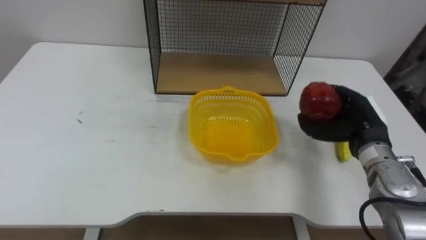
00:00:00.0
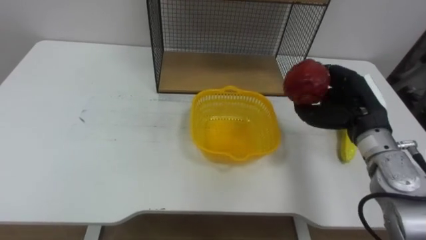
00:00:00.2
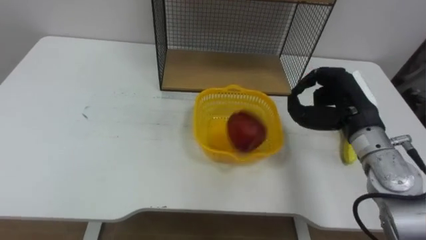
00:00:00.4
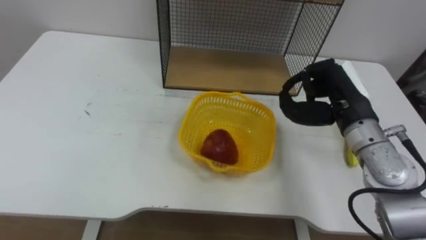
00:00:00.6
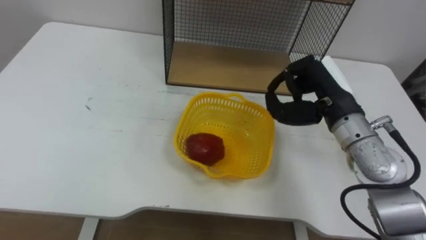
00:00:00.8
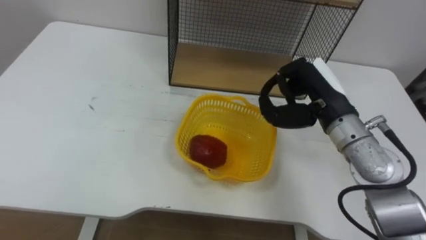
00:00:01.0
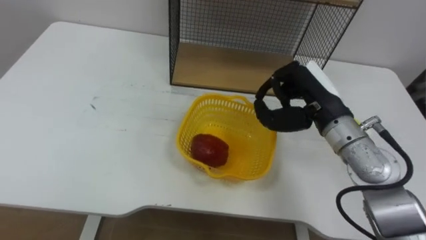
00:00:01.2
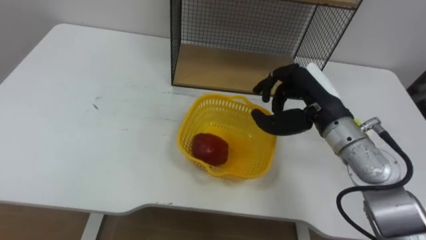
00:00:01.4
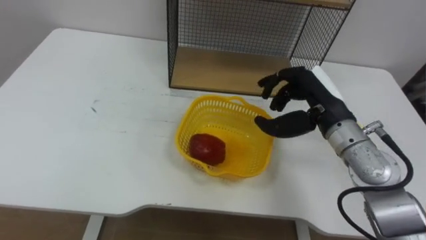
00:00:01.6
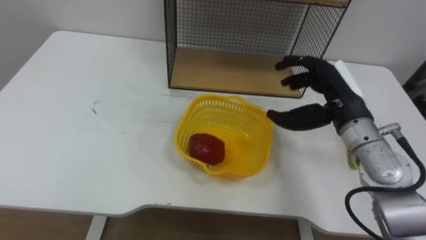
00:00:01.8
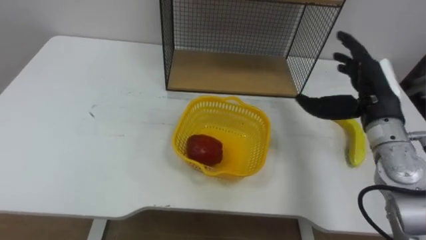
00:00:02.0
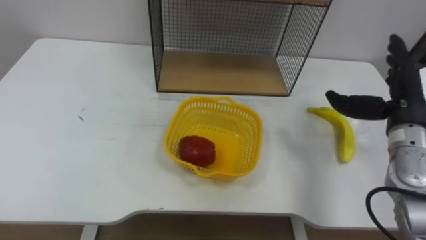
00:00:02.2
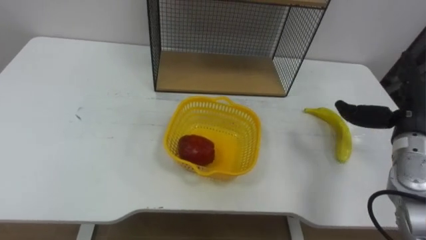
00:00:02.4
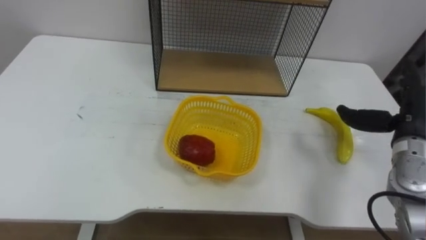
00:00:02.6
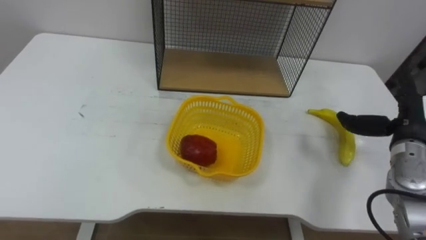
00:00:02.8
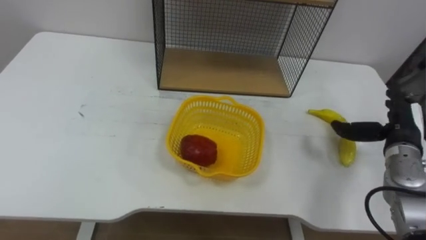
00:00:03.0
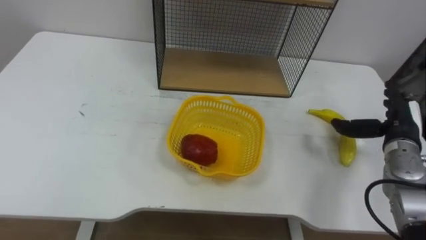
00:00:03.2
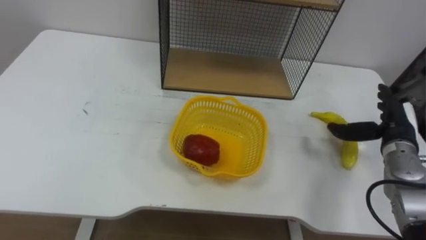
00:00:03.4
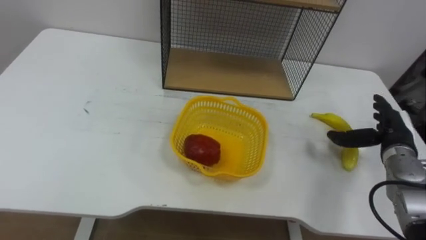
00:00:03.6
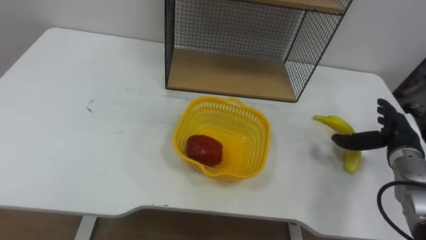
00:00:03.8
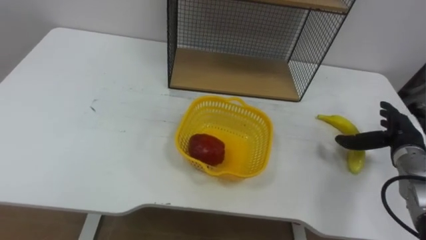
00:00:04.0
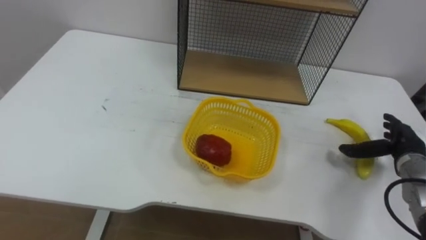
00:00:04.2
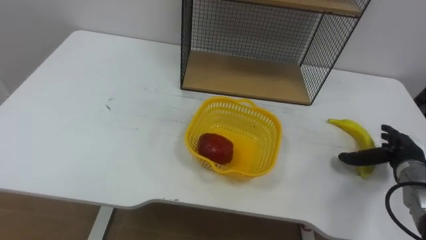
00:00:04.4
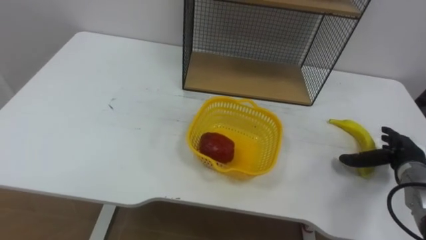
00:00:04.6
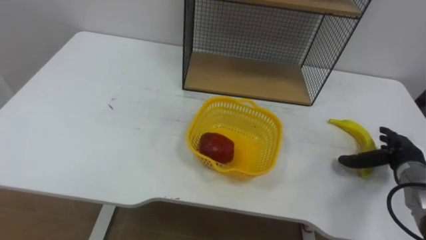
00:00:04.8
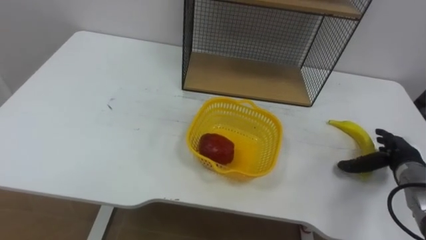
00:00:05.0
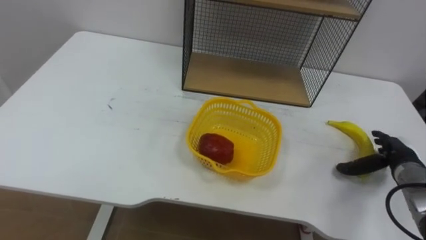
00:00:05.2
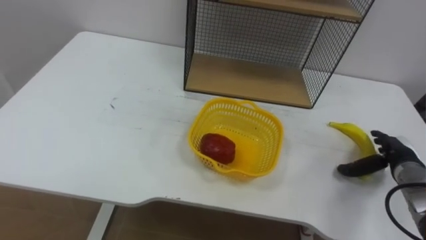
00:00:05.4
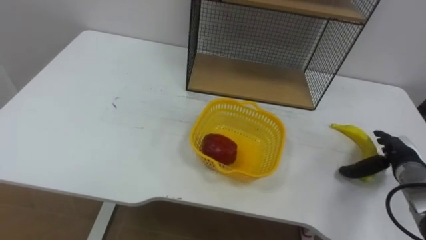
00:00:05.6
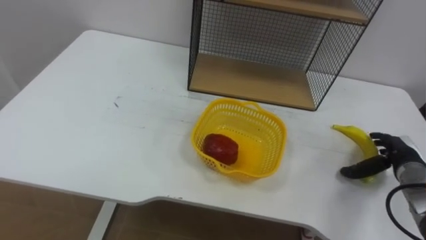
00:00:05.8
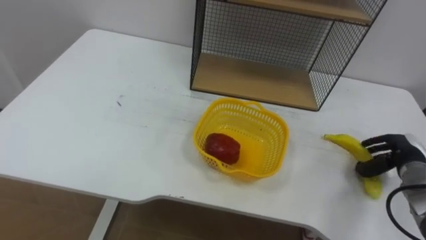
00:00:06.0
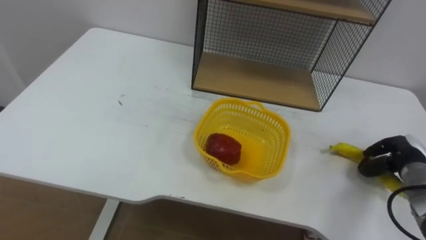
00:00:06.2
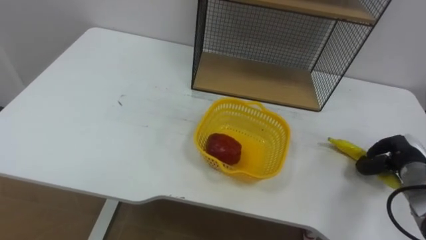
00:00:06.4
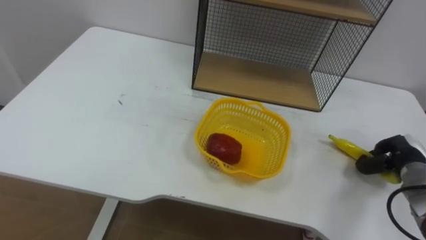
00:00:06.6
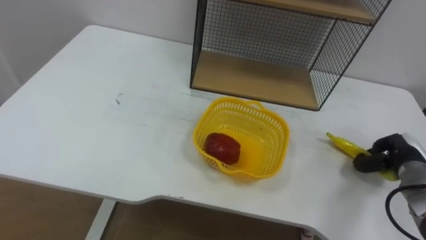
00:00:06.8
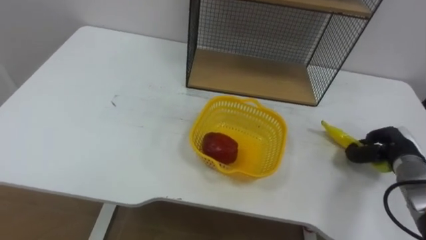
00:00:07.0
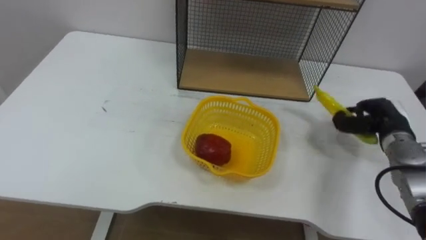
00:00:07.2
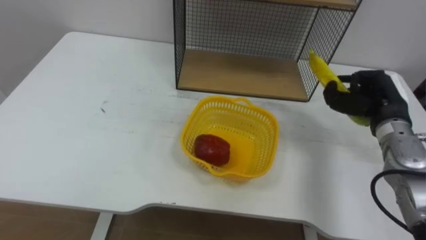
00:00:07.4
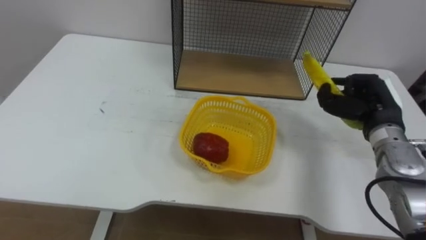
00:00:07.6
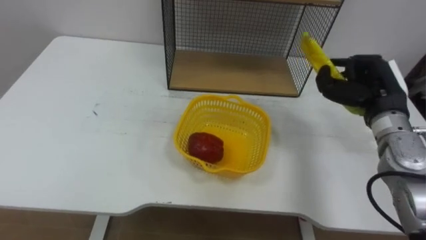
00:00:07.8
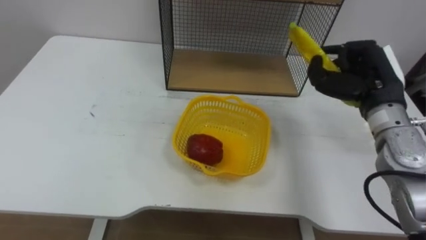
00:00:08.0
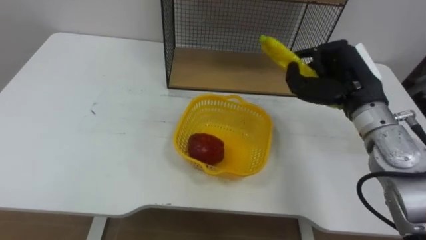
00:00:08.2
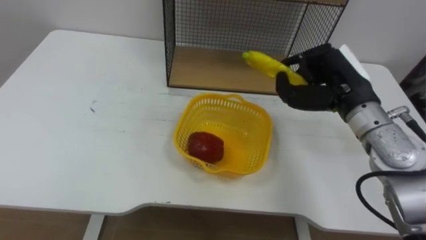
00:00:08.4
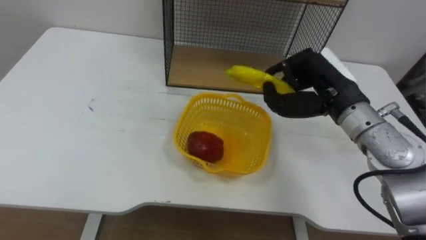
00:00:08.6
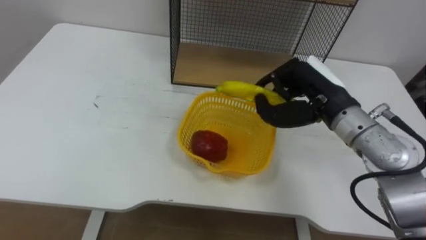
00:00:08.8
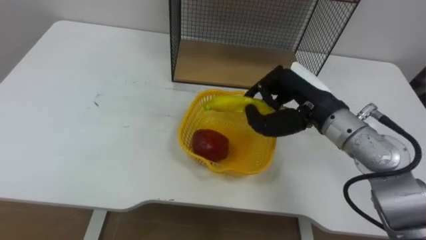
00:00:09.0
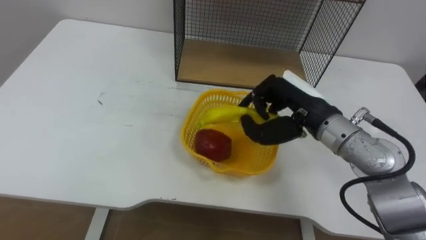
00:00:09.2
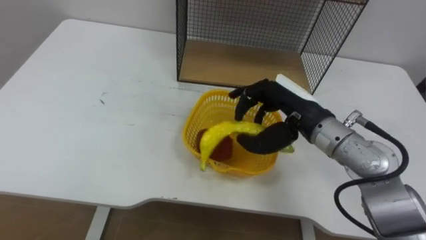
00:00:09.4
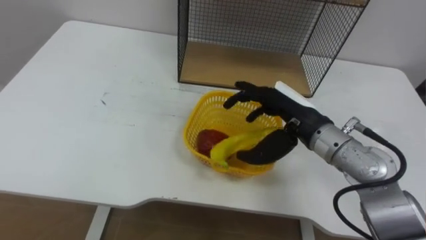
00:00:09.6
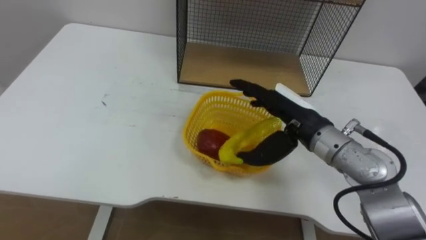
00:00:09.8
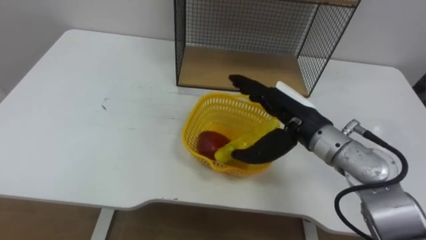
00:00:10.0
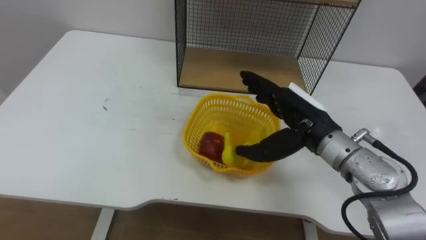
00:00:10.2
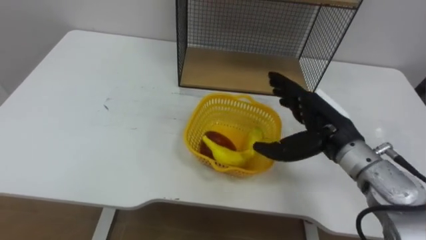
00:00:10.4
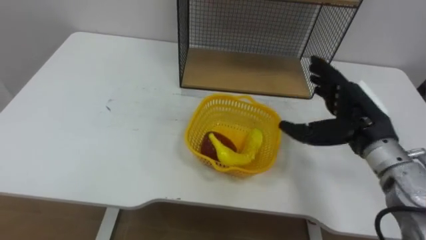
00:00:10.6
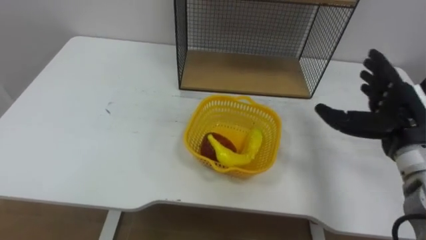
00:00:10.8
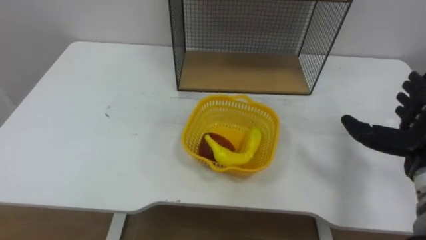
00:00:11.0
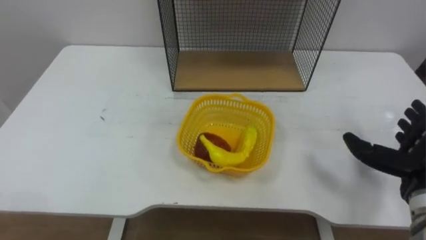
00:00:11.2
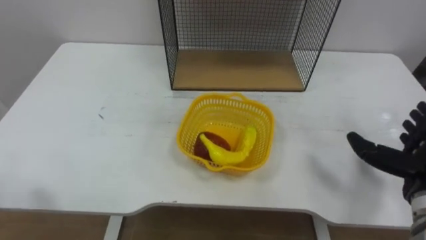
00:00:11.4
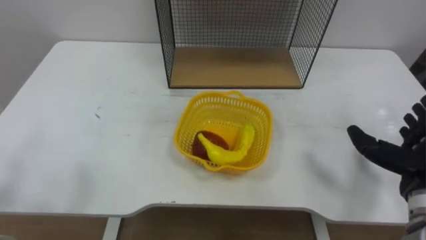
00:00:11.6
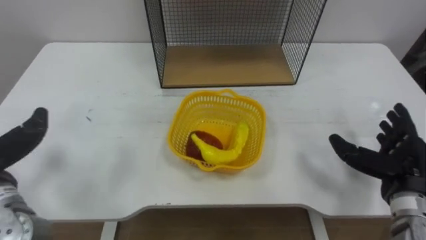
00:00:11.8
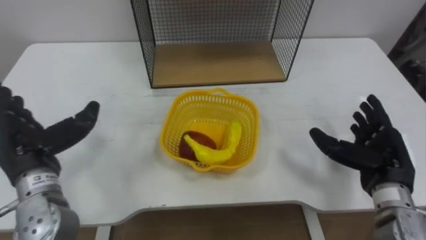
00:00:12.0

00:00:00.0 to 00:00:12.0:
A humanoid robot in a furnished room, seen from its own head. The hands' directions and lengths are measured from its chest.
Task of the whole recording: Put the fruit on the table into the basket, then place the basket on the shelf.
00:00:00.0 to 00:00:01.6: The right hand heads to the left and upward, covering approximately 10 cm.
00:00:01.6 to 00:00:03.0: The right hand is displaced to the right and downward by some 20 cm, and opens its fingers.
00:00:03.0 to 00:00:04.4: The right hand moves downward, approximately 5 cm.
00:00:04.4 to 00:00:06.0: The right hand closes up.
00:00:06.0 to 00:00:07.6: The right hand shifts about 15 cm upward and to the left, and closes.
00:00:07.6 to 00:00:09.0: The right hand travels to the left and upward by approximately 15 cm.
00:00:09.0 to 00:00:10.4: The right hand ends up approximately 5 cm from where it was, and opens up.

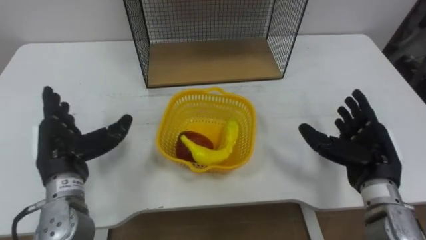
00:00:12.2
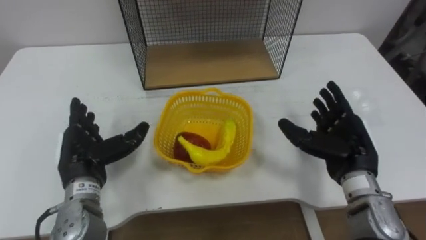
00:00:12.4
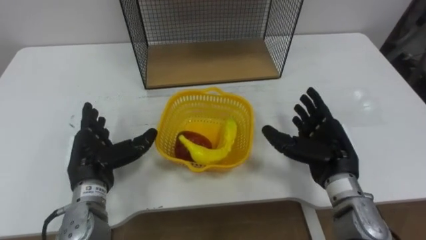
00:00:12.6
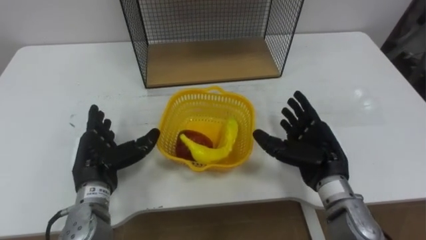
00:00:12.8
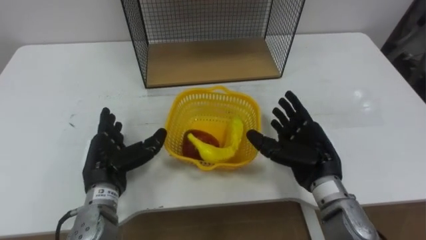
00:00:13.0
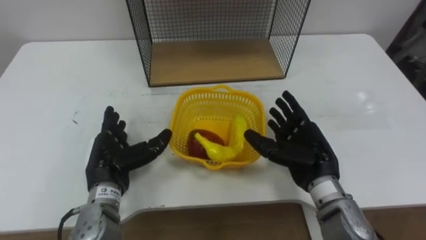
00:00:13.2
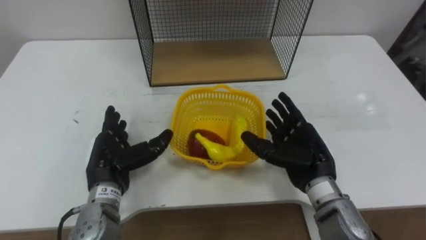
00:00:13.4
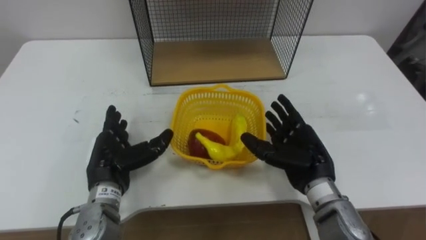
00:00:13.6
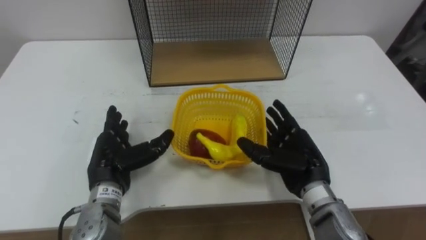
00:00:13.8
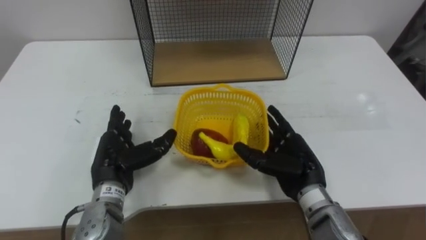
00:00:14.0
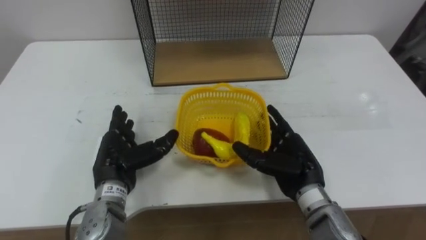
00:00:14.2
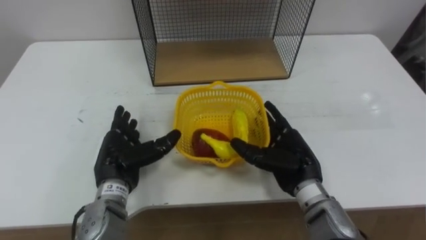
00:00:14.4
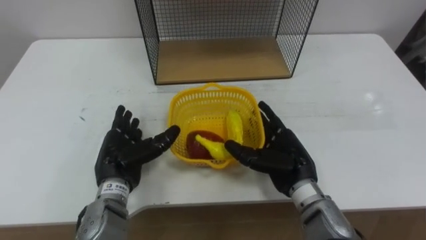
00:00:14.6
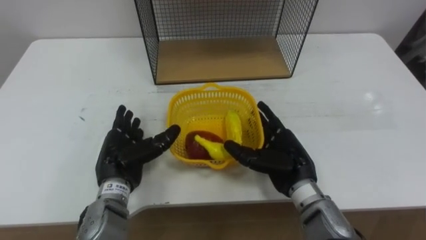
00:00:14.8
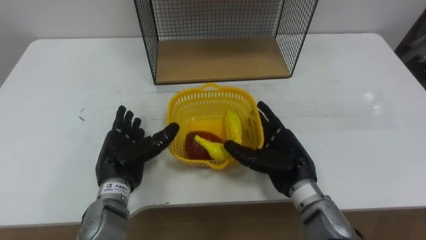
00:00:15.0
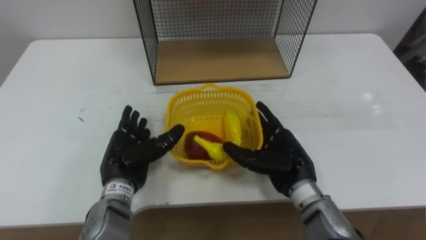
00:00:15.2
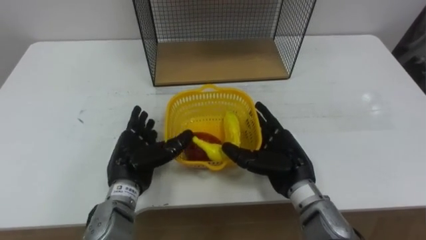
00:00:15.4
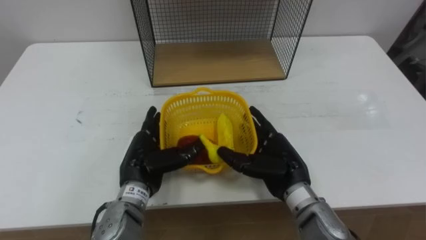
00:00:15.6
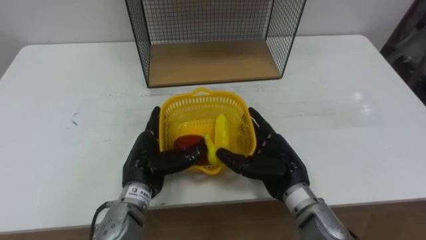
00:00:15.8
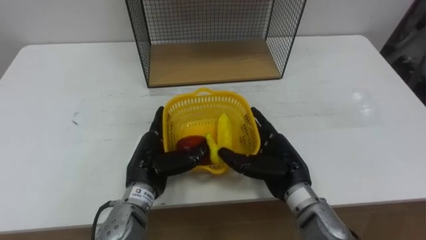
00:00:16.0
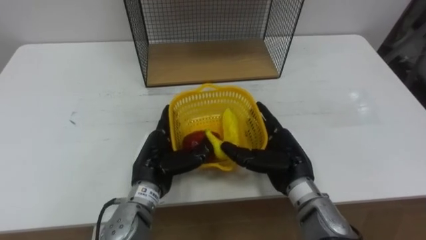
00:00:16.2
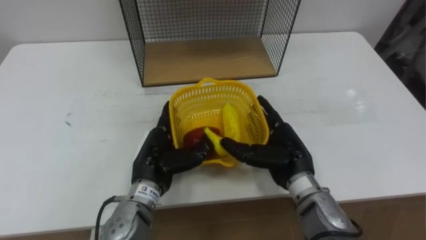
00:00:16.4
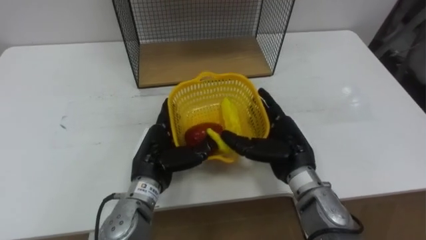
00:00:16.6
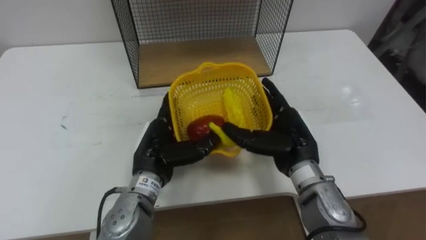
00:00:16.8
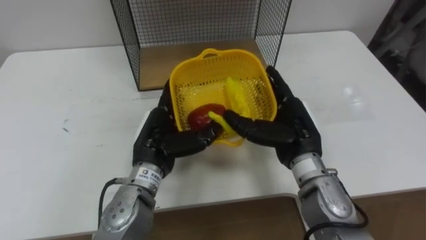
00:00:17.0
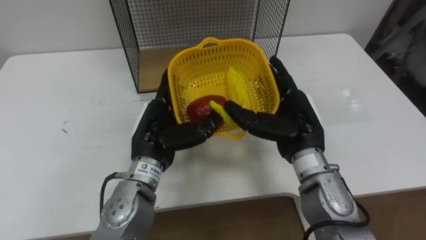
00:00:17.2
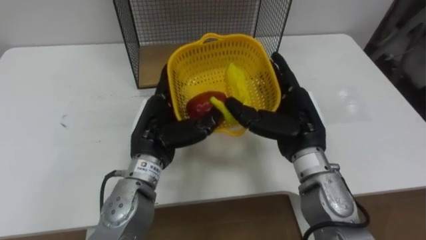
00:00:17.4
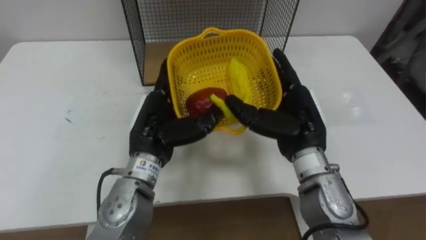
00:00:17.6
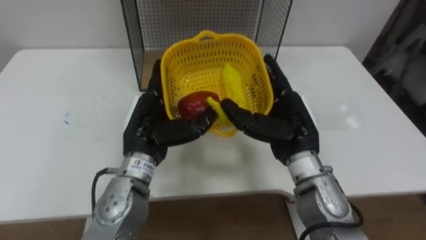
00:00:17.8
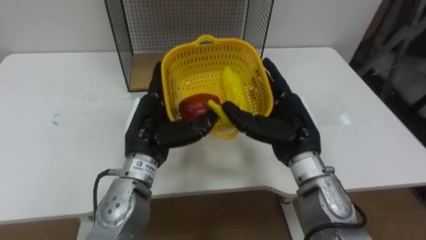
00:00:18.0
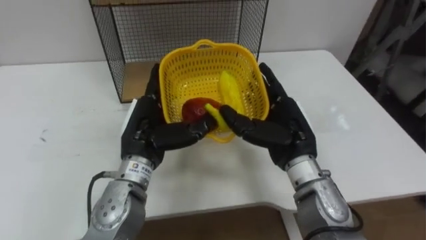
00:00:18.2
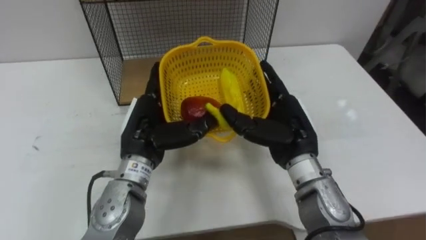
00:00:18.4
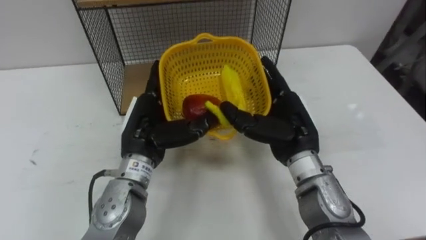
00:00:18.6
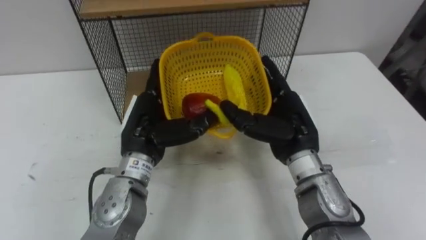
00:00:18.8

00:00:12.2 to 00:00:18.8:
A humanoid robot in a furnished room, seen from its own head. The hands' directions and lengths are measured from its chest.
Task of the whole recording: Put the fruit on the table into the basket, then place the basket on the shelf.
00:00:12.2 to 00:00:13.8: The left hand moves to the right and downward, approximately 10 cm. The right hand moves to the left, about 10 cm.
00:00:13.8 to 00:00:15.4: The hands make only small movements.
00:00:15.4 to 00:00:17.2: The left hand shifts approximately 10 cm upward and to the right, while the right hand moves upward, some 5 cm.
